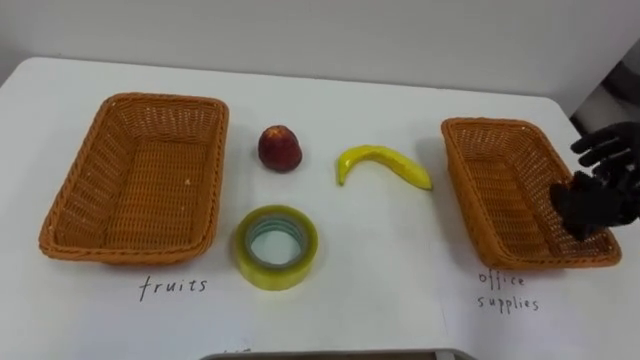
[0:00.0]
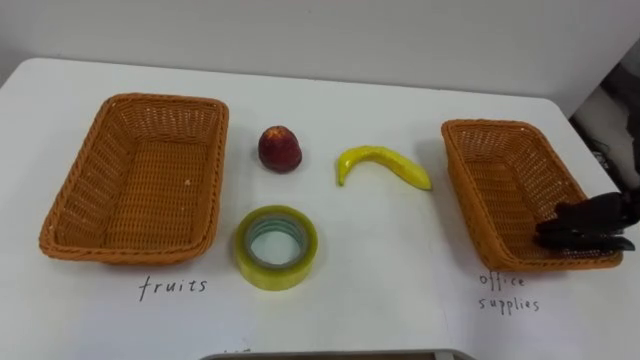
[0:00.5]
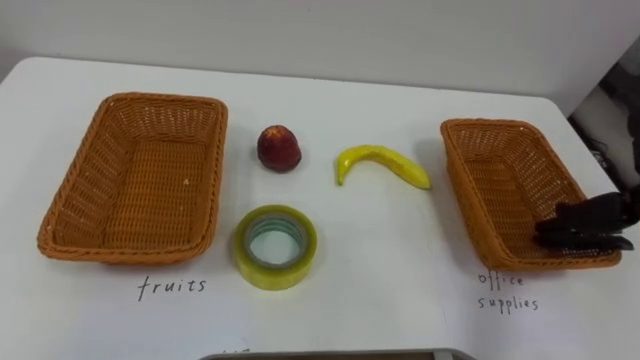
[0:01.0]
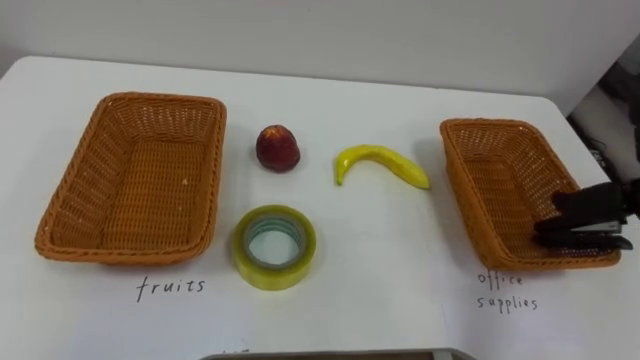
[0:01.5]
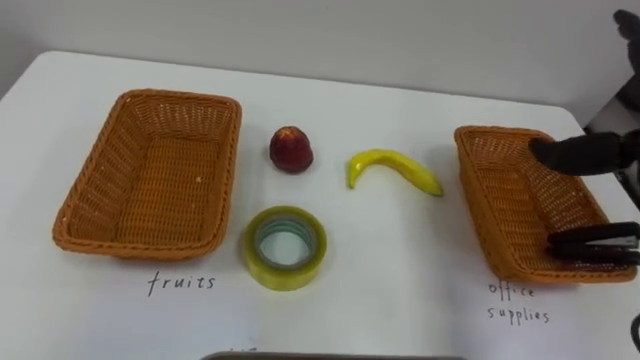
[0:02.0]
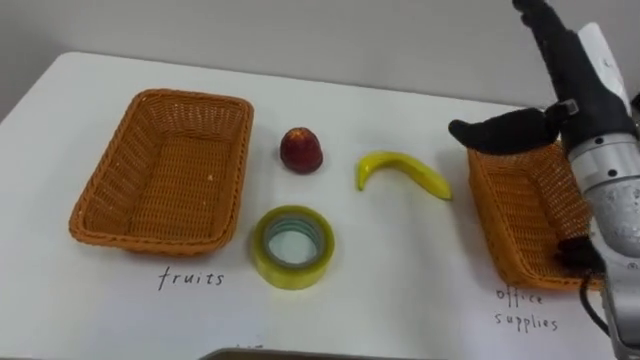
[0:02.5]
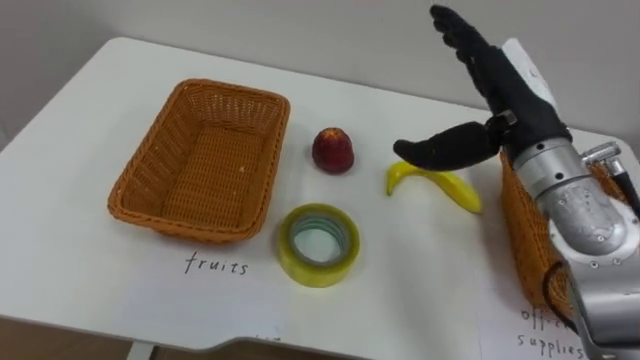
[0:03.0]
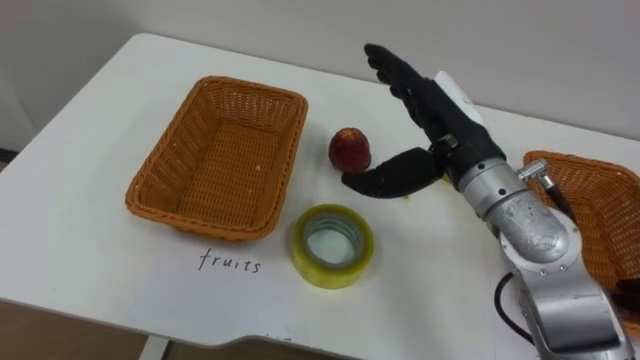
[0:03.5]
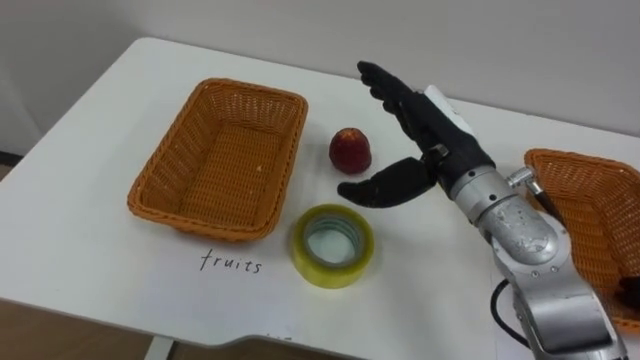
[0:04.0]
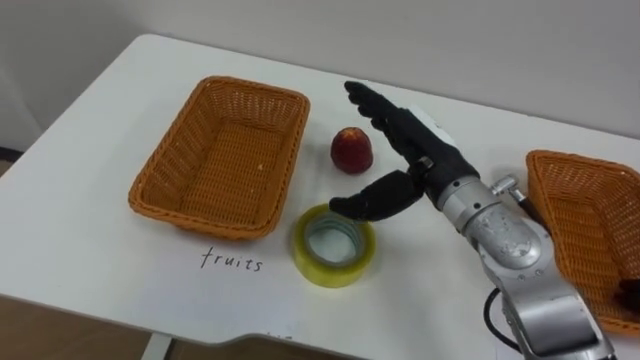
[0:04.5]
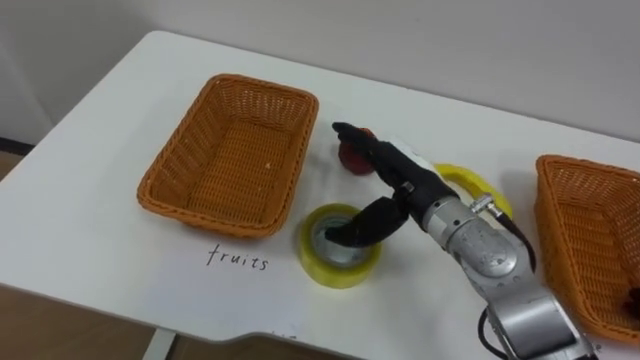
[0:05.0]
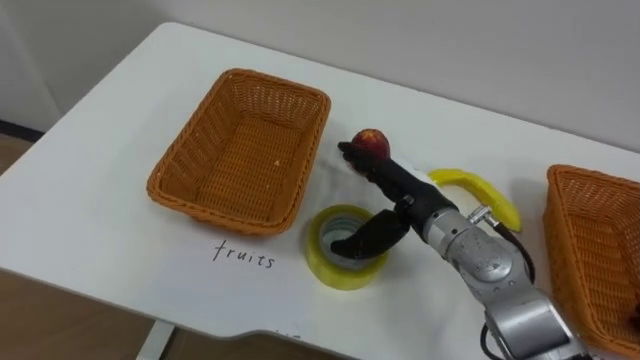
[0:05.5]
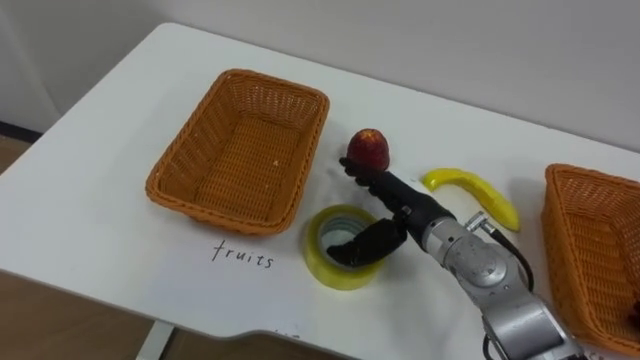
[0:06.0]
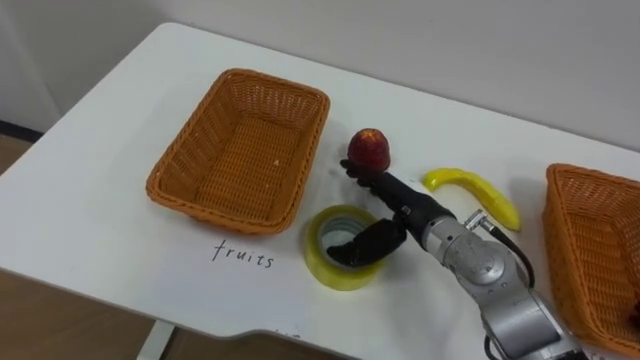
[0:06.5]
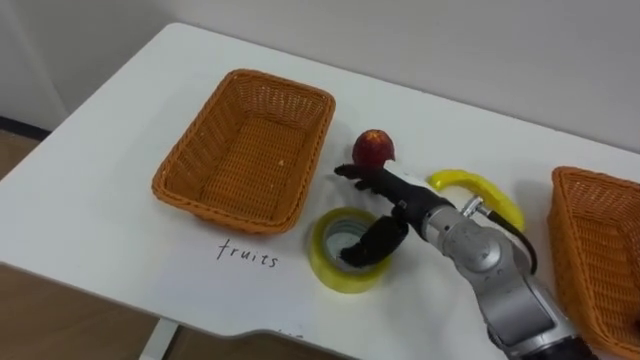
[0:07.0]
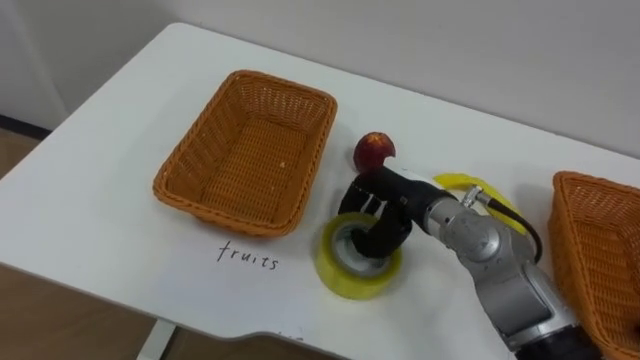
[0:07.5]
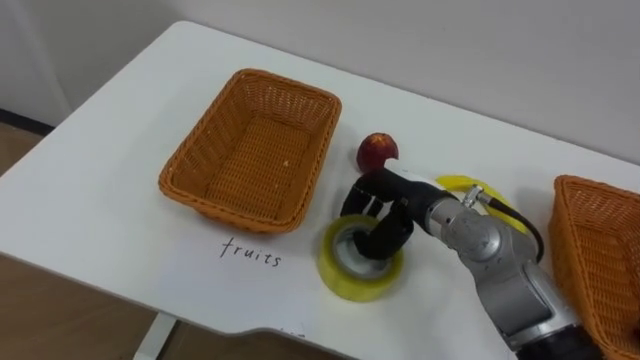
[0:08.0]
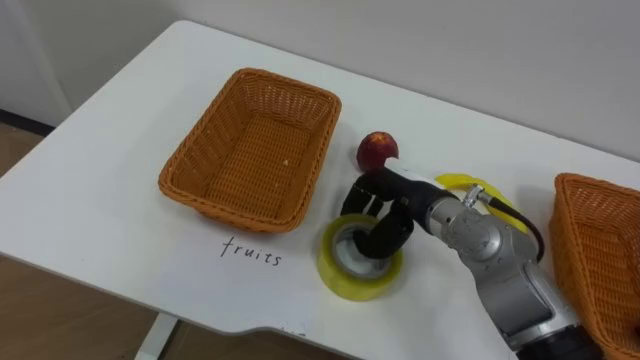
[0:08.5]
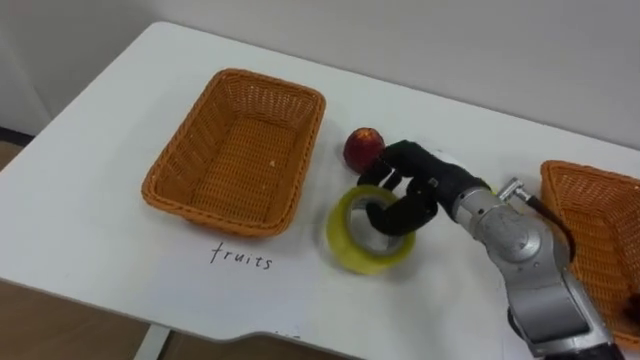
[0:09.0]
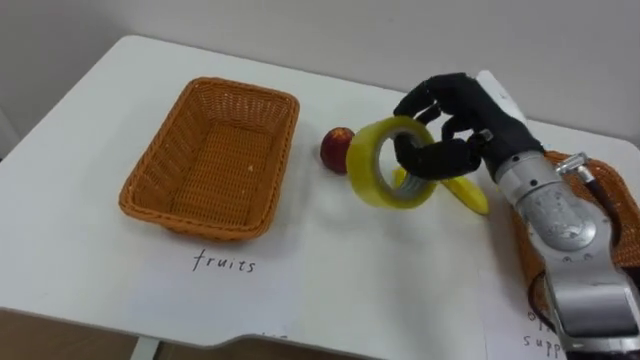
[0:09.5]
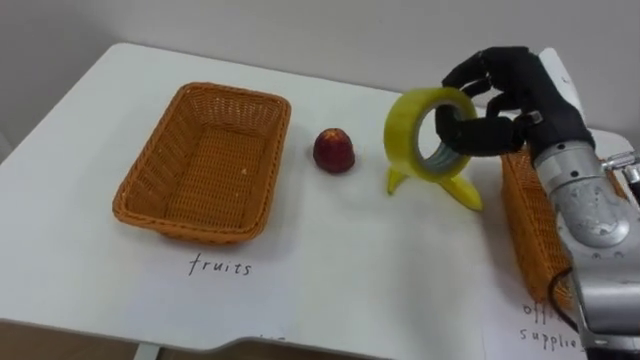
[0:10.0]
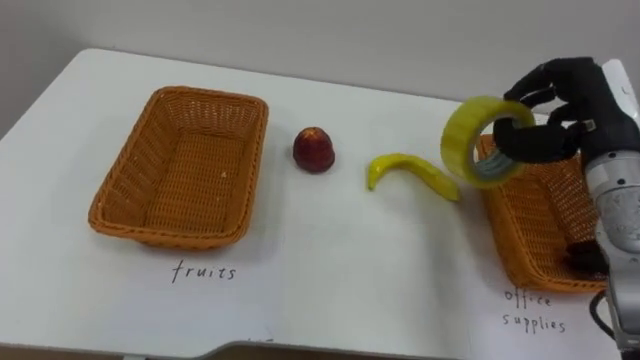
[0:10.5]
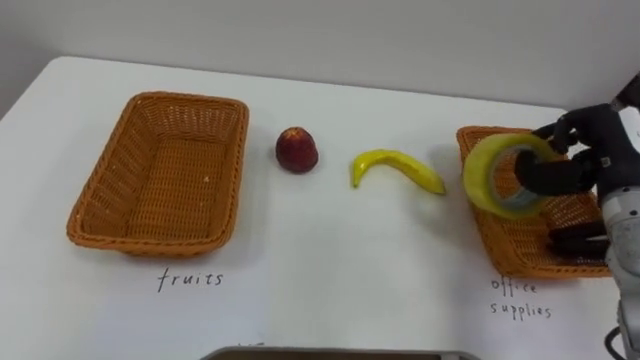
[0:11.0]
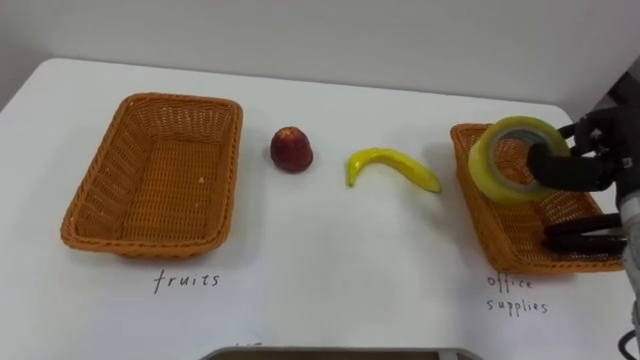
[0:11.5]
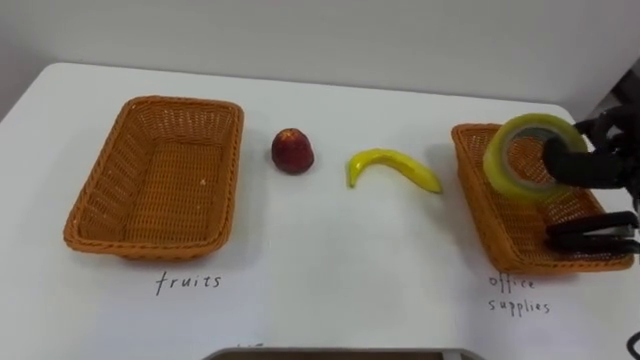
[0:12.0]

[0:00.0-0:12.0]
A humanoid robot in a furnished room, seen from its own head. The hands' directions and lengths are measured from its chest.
Task of the whole recording: Separate the items on the table and place them into the two baskets.
0:04.0 to 0:06.0: The right hand travels downward by about 10 cm.
0:06.0 to 0:08.0: The right hand closes its fingers.
0:08.0 to 0:10.0: The right hand shifts roughly 15 cm upward and to the right.

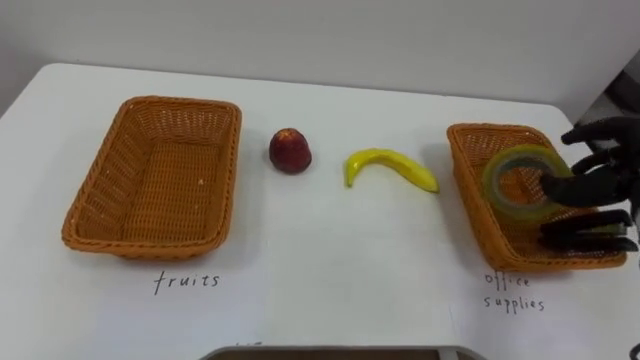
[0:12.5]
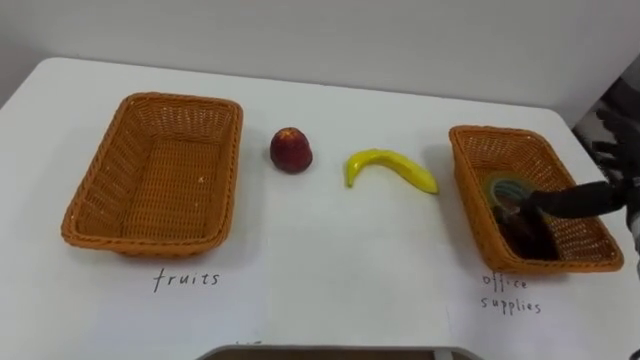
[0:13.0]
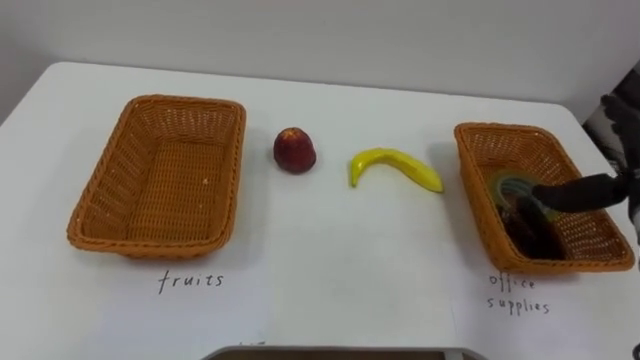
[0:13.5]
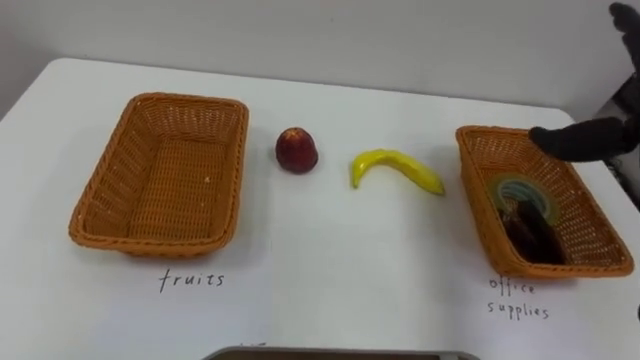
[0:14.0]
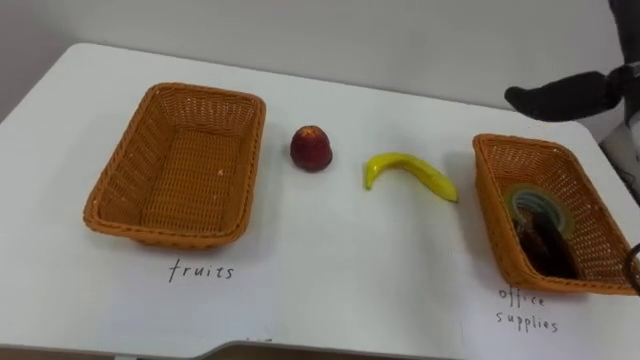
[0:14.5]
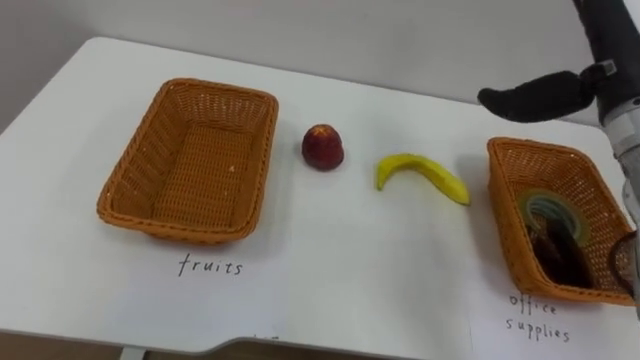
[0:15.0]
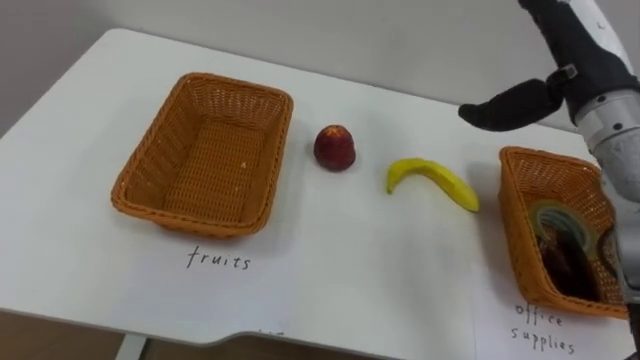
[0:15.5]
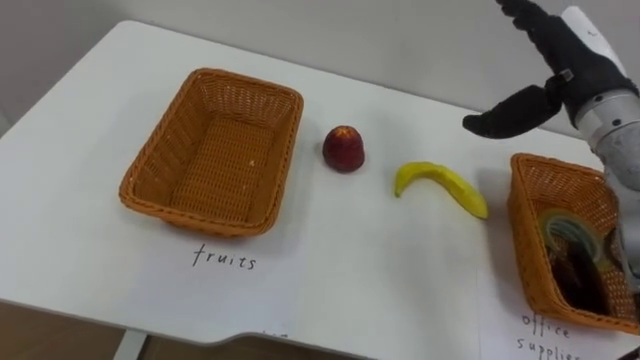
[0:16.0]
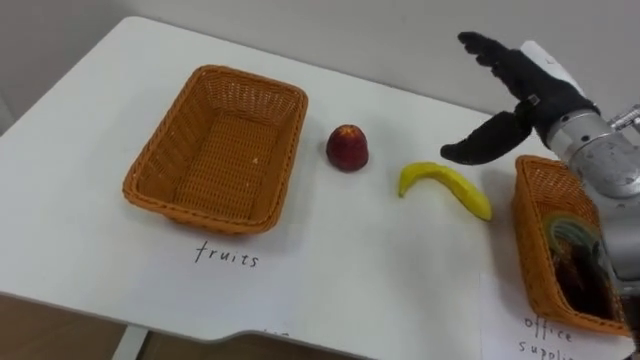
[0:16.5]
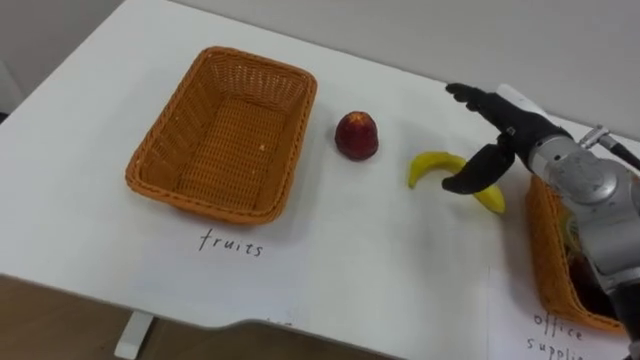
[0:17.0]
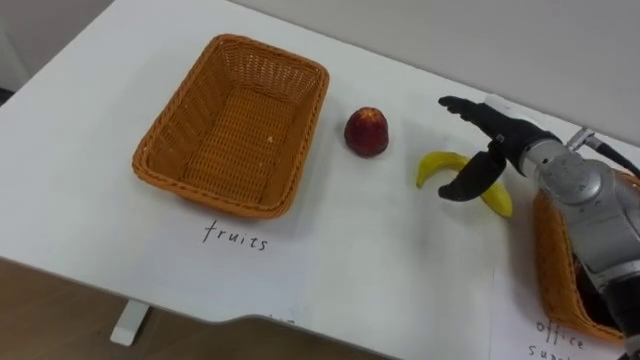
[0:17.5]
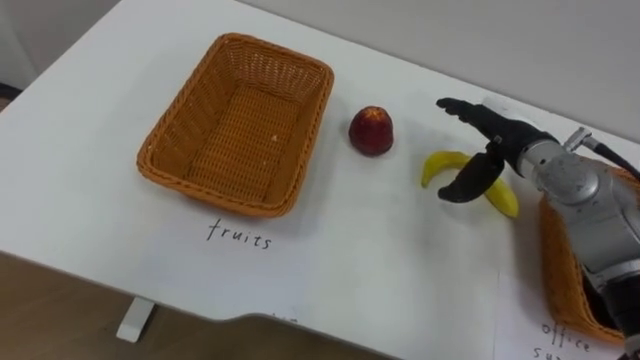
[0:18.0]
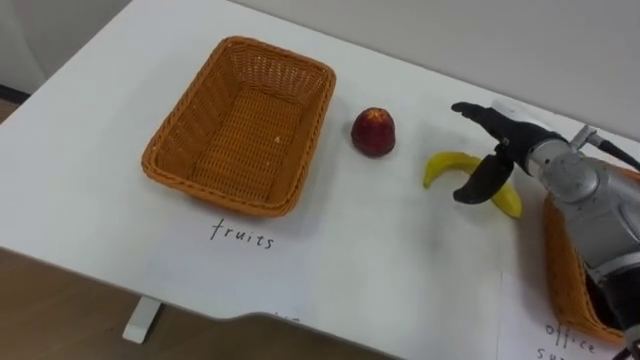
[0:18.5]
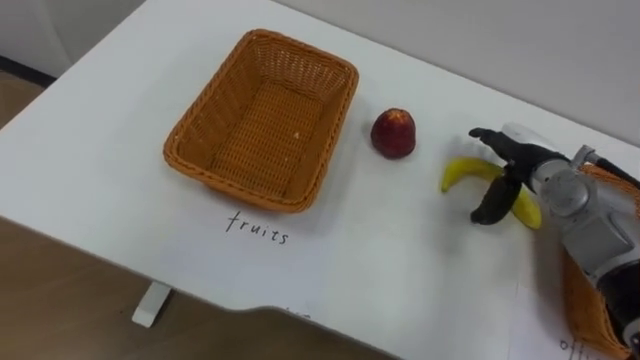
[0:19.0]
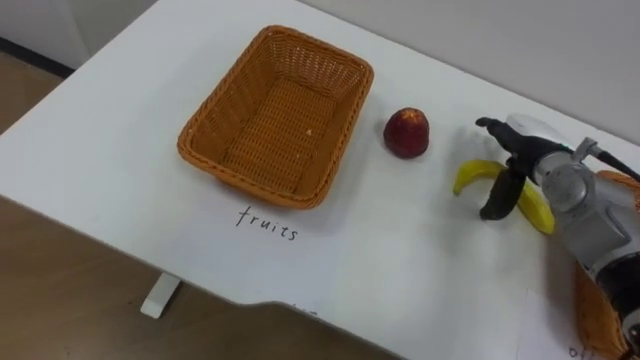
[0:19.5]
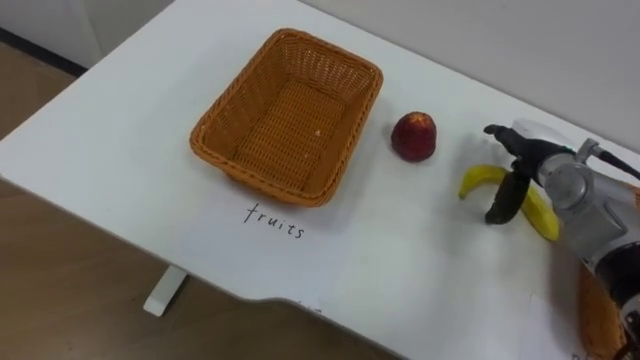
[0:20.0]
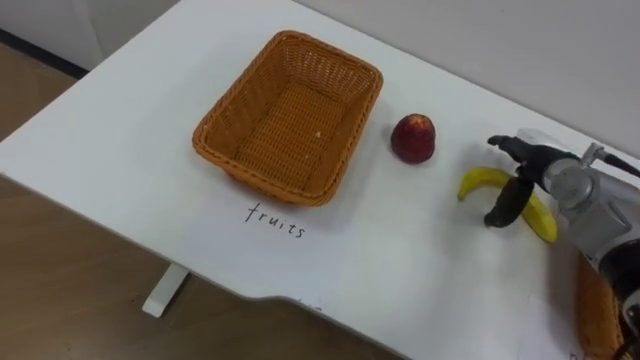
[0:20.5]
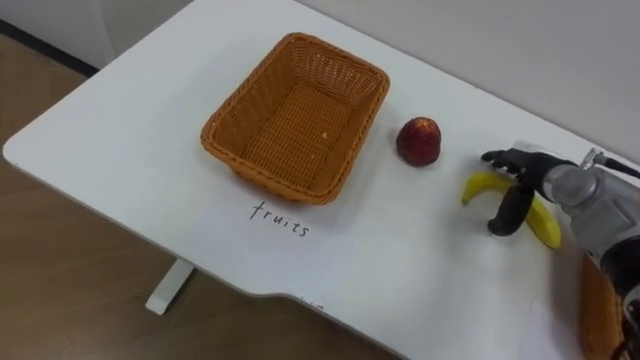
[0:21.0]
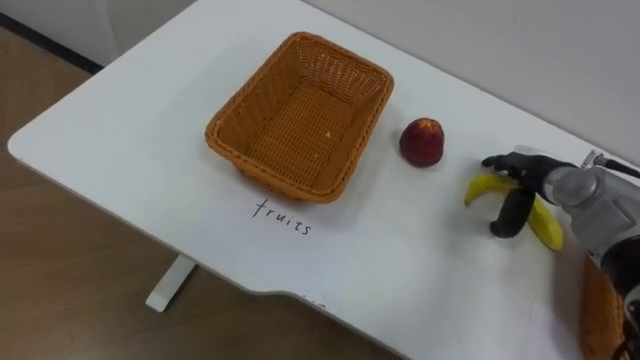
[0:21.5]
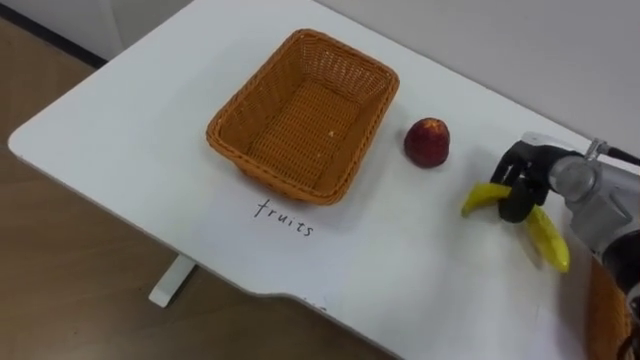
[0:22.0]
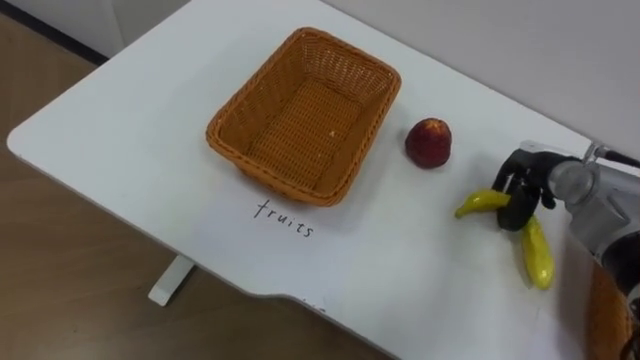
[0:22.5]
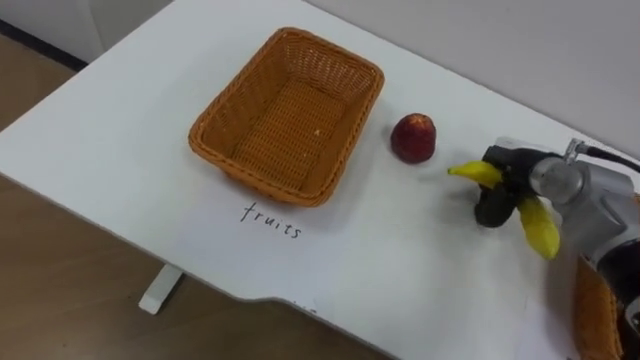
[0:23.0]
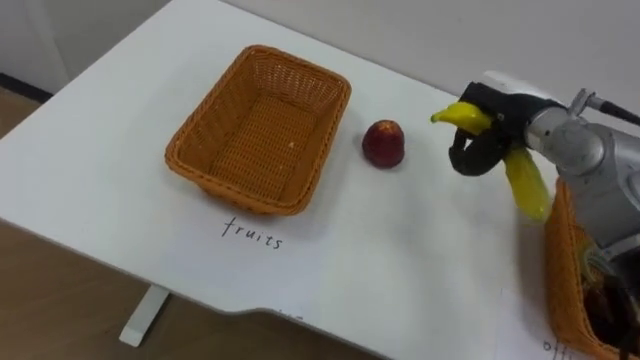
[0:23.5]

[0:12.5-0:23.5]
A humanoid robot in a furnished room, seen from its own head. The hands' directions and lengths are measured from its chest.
Task of the whole recording: Separate the items on the table and place them into the two baskets.
0:14.5 to 0:16.0: The right hand moves roughly 5 cm.
0:16.0 to 0:18.0: The right hand moves downward, some 10 cm.
0:18.0 to 0:20.0: The right hand moves to the right, approximately 5 cm.
0:21.5 to 0:23.5: The right hand is displaced upward and to the left by approximately 10 cm, and closes its fingers.
